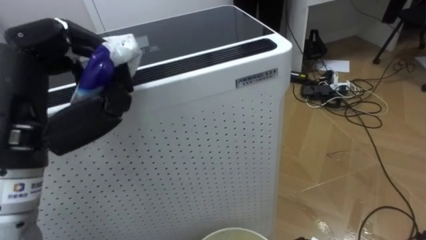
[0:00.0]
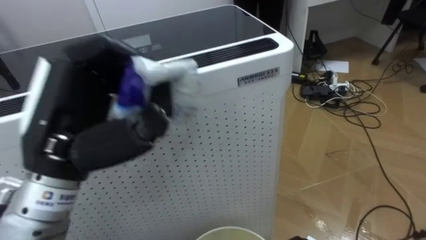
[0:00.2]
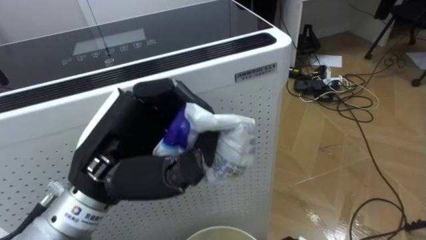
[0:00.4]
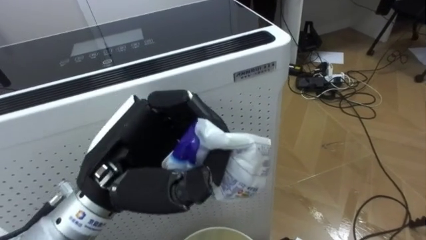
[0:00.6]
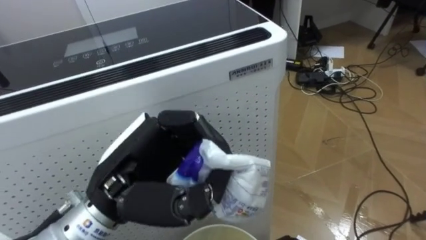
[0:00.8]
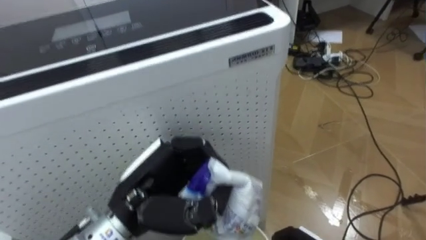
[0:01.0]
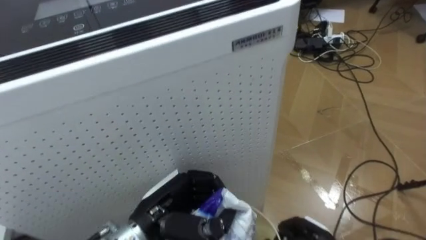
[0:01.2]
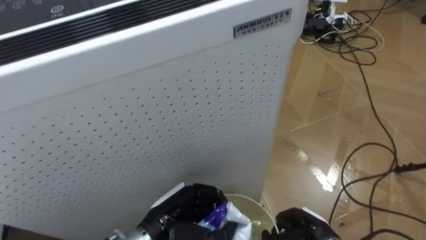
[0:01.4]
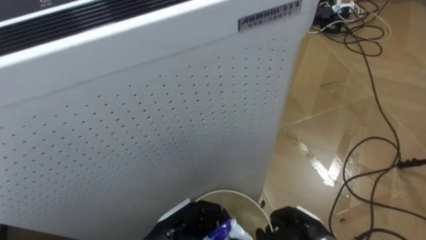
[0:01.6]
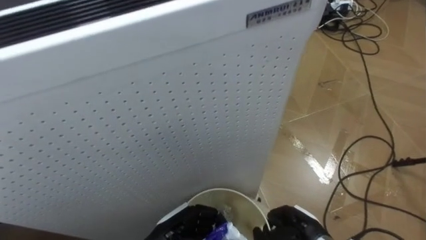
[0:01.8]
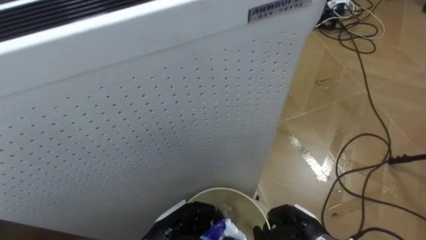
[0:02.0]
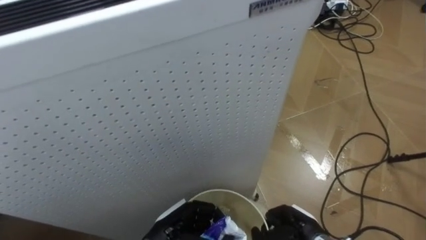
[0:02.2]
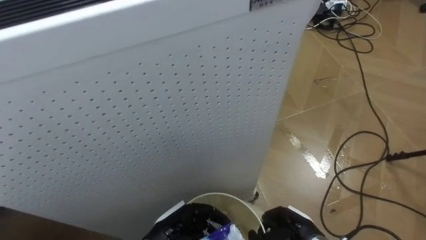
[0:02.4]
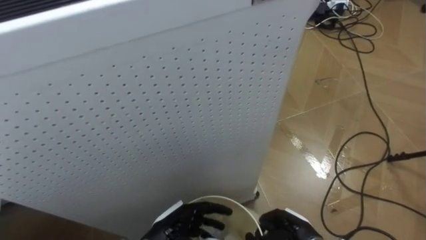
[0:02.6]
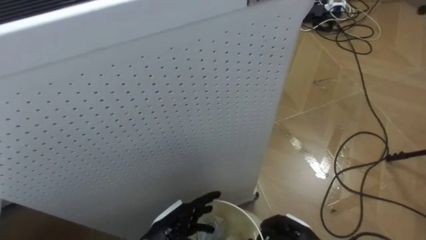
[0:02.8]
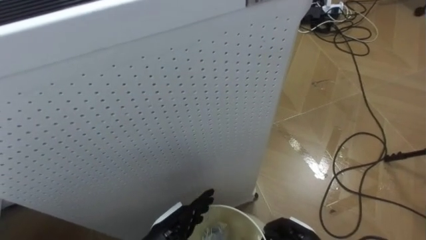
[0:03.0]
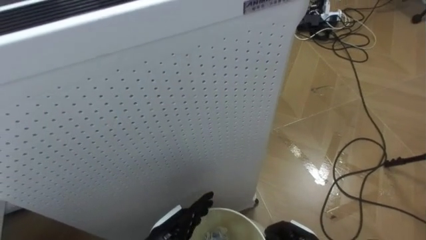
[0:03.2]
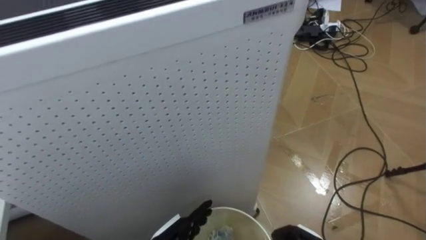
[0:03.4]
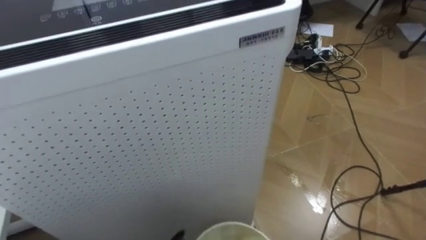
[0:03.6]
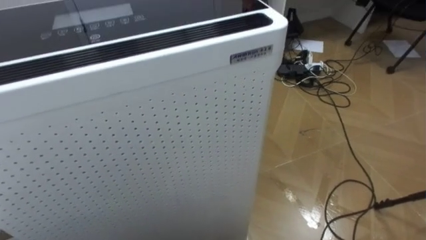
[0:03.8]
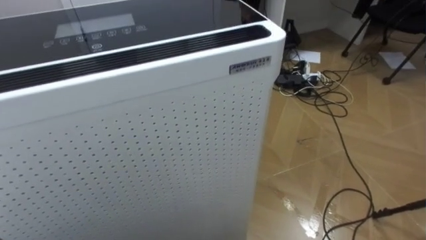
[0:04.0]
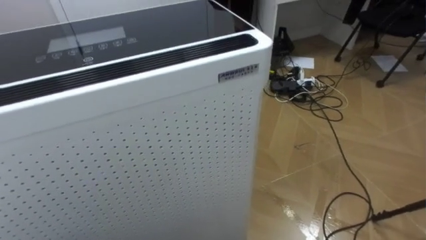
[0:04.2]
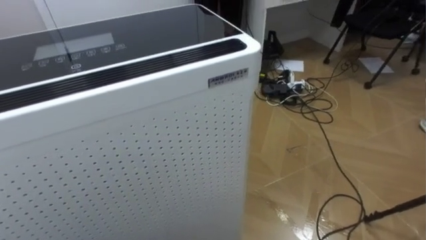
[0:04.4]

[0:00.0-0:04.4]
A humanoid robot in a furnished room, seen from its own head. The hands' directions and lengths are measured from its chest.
Task of the whole recording: Pick up the light blue package, the candy box, and the dark blue package separately, and put them into the trash can held in your right hand.
0:00.0 to 0:01.4: The left hand moves downward and to the right, roughly 30 cm.
0:01.4 to 0:03.0: The left hand goes approximately 5 cm downward, and opens.

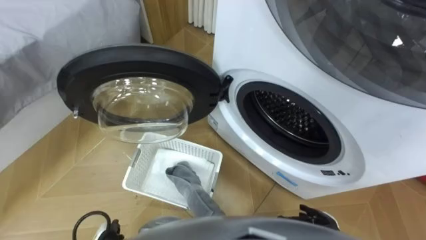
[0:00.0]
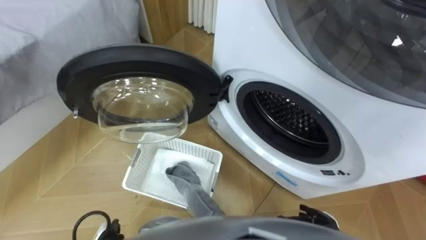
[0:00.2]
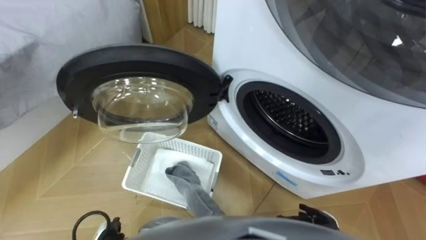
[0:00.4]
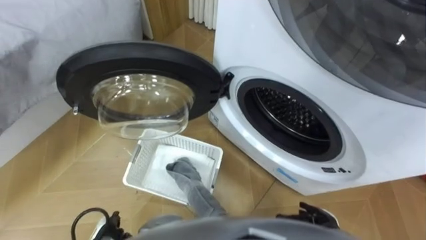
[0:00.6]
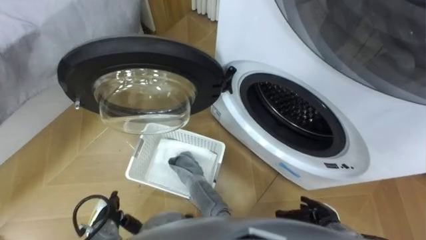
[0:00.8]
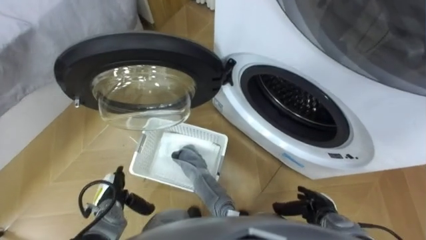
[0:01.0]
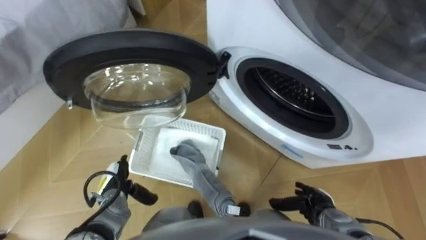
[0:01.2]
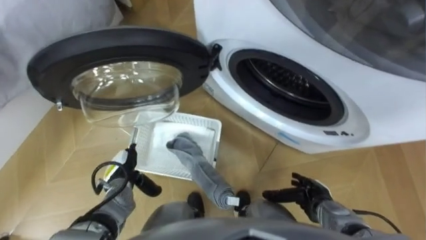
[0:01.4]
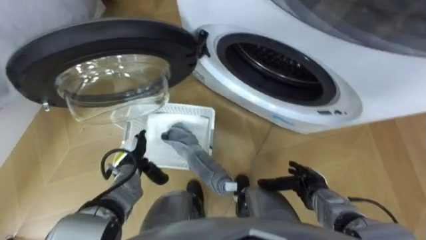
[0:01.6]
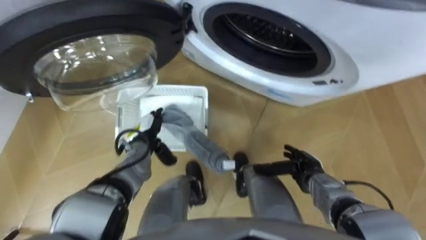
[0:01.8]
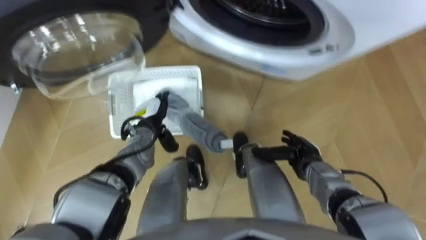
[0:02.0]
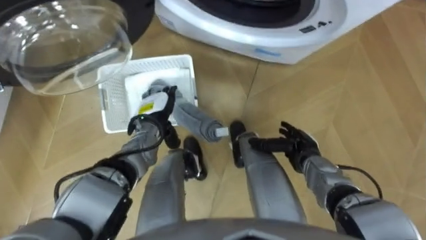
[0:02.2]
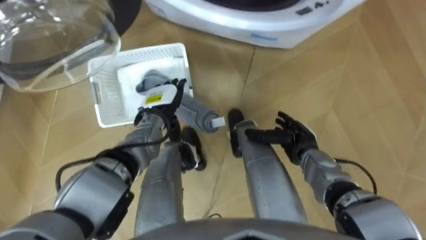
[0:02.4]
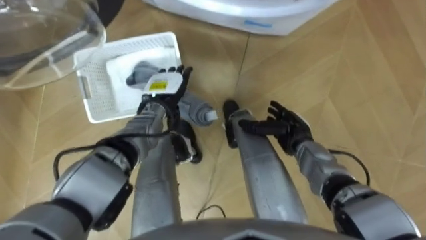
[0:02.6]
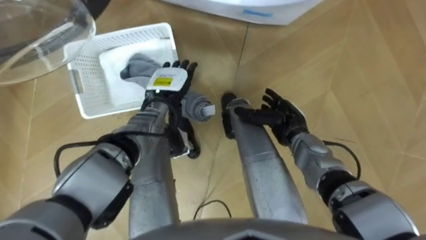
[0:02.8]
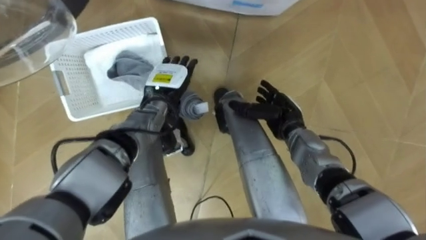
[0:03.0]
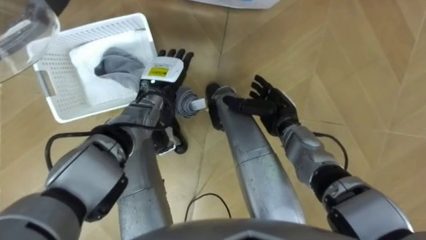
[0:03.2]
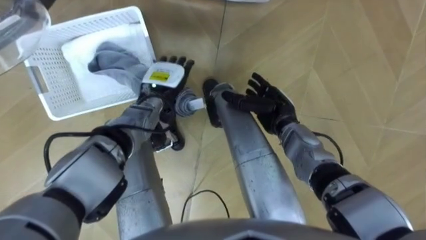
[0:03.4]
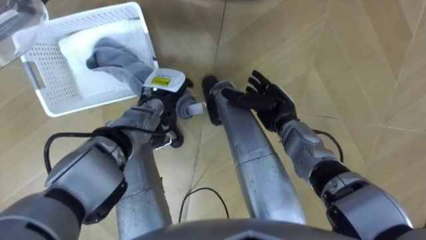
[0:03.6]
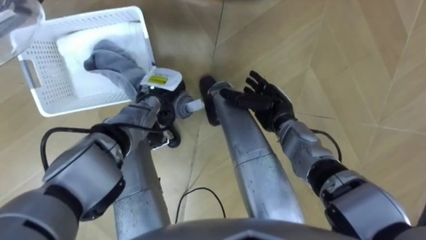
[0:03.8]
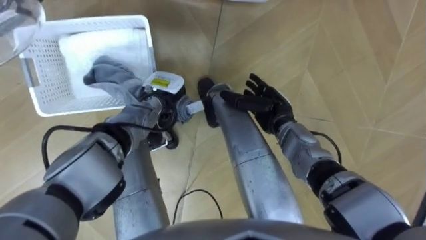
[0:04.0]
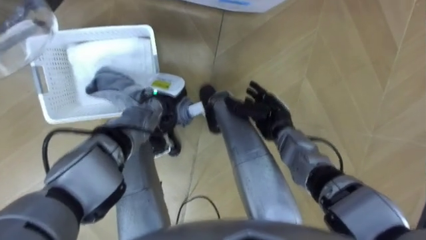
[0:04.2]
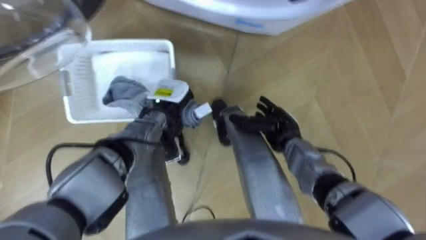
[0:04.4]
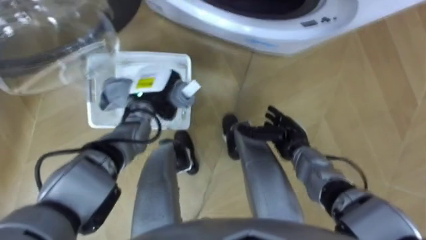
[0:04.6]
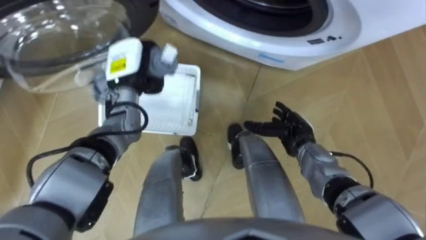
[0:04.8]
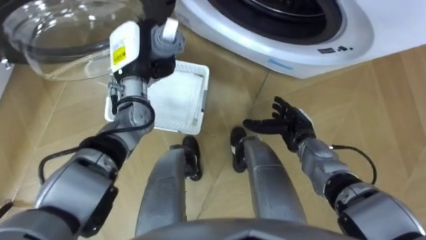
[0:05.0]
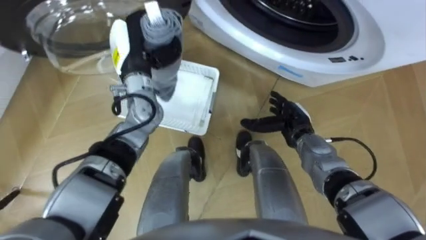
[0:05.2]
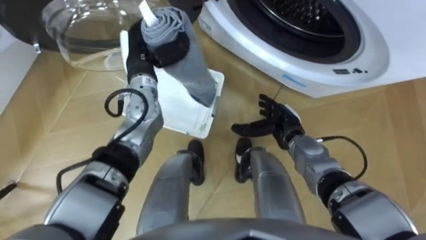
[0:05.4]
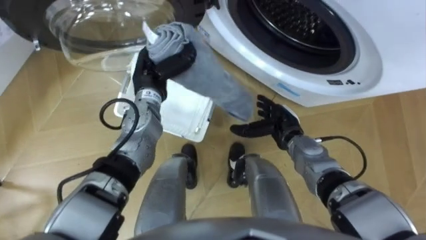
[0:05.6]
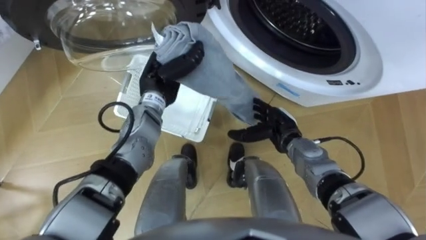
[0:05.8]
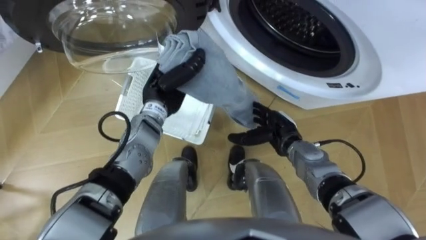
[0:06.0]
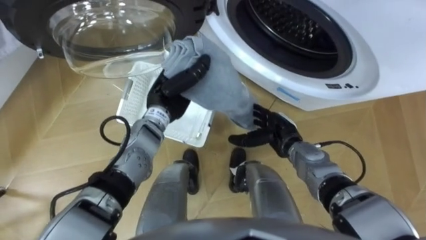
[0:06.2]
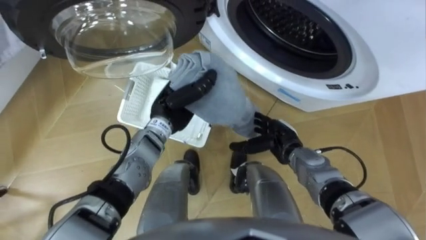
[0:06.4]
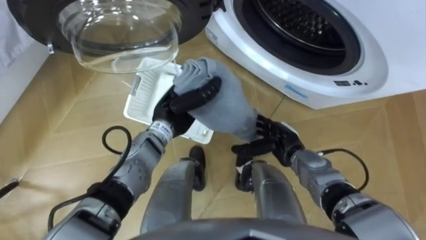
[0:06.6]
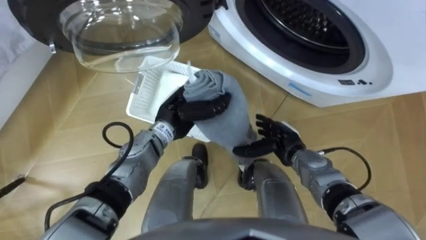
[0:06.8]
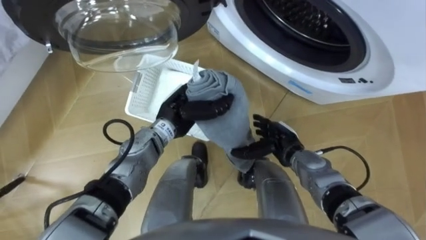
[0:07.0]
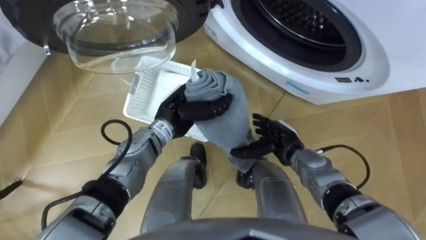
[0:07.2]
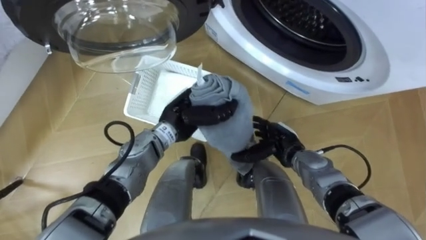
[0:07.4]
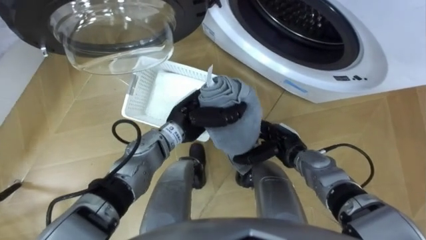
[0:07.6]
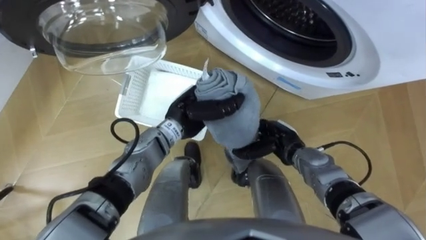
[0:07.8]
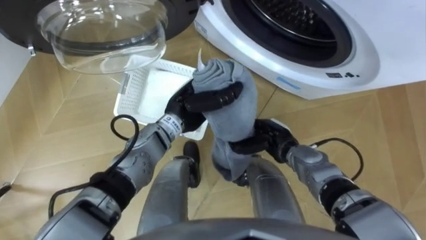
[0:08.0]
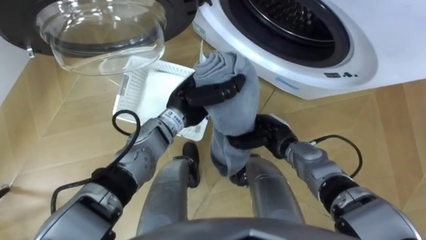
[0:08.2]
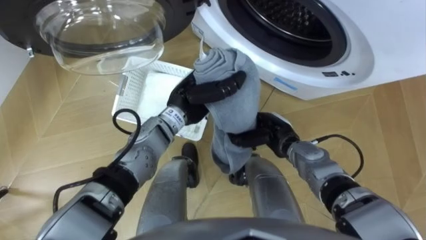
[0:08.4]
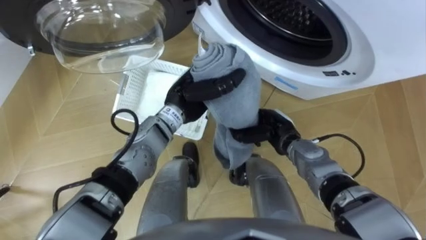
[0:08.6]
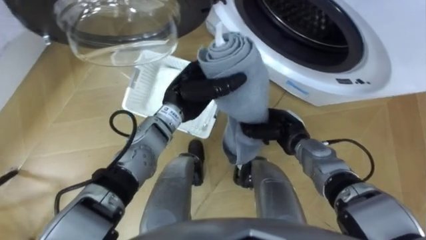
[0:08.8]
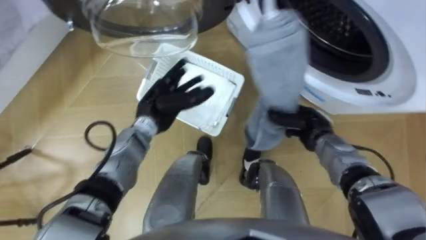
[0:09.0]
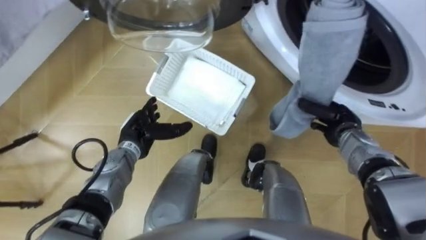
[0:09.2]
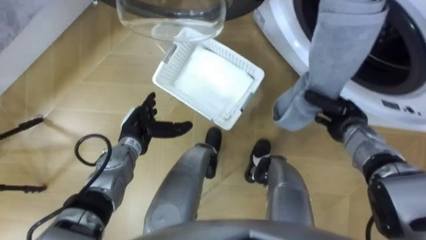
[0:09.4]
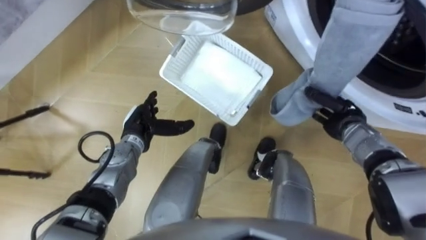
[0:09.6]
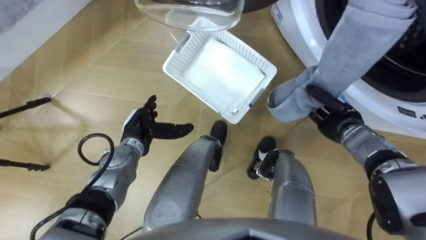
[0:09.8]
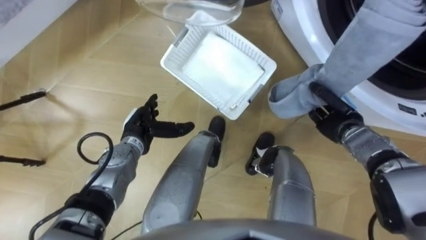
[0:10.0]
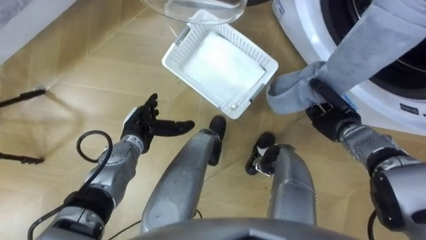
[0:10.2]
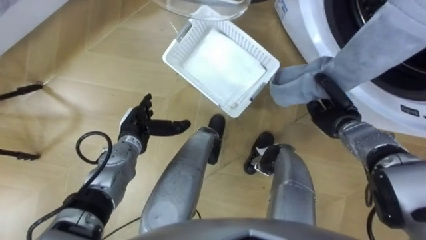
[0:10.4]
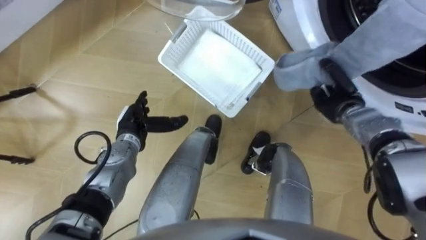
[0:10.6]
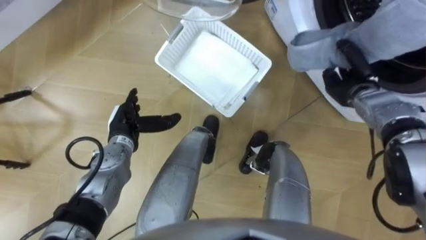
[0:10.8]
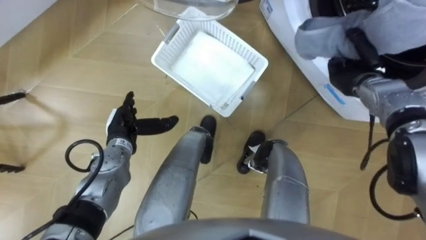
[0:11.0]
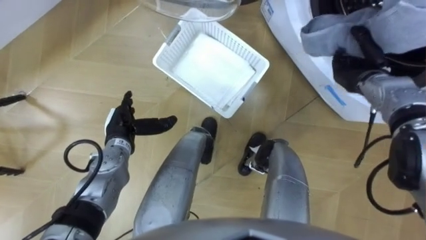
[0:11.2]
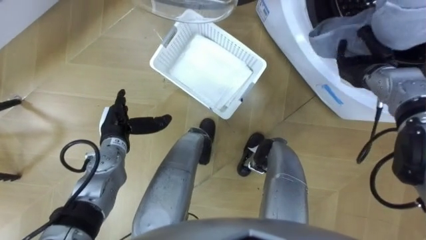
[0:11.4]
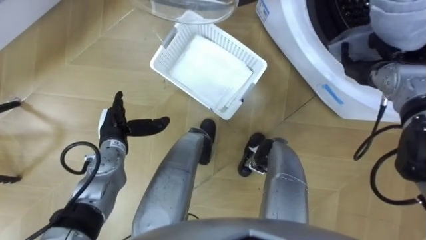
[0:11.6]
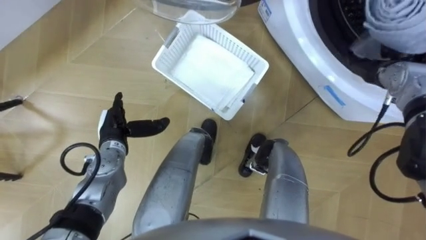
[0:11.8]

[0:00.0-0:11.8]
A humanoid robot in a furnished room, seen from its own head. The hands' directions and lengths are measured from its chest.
Task of the whole recording: Take the towel from the basket and put it into the washing machine.
0:01.4 to 0:03.0: The left hand travels forward, upward and to the right by approximately 25 cm. The right hand travels forward, upward and to the left by some 20 cm.
0:03.0 to 0:04.4: The left hand closes its fingers.
0:04.4 to 0:06.0: The left hand heads upward, covering roughly 5 cm.
0:06.0 to 0:07.4: The left hand moves roughly 5 cm.
0:07.4 to 0:08.8: The right hand closes up.
0:08.8 to 0:10.4: The right hand shifts roughly 10 cm to the right. The left hand moves to the left and downward, about 15 cm, and opens.
0:10.4 to 0:11.8: The right hand is displaced upward, forward and to the right by some 15 cm, and opens.
